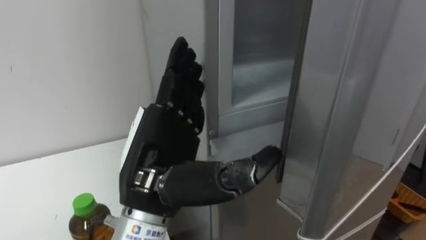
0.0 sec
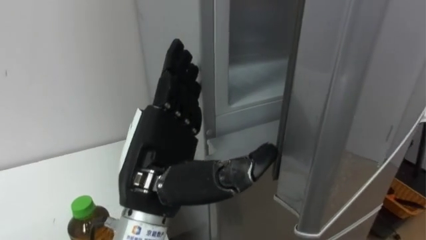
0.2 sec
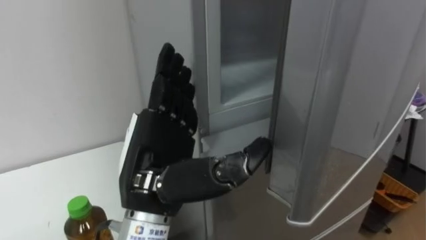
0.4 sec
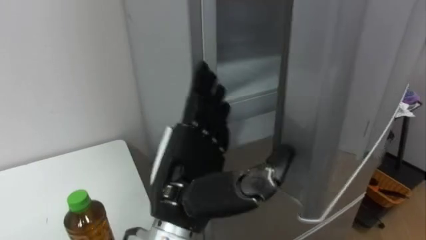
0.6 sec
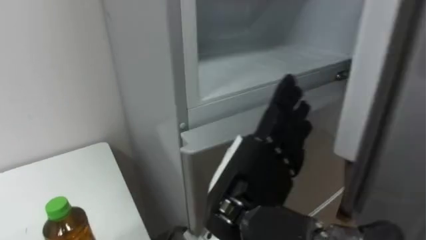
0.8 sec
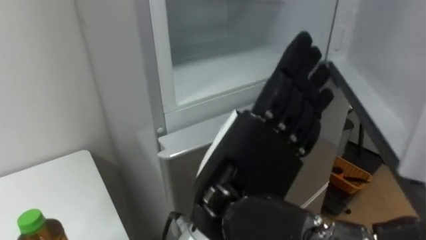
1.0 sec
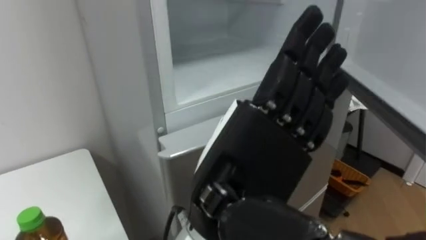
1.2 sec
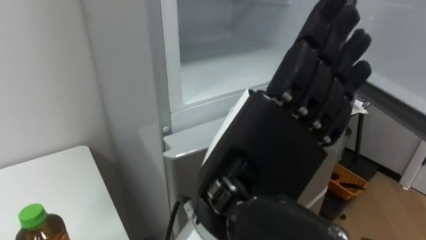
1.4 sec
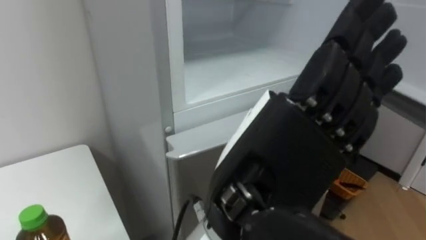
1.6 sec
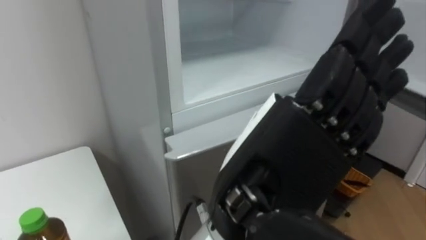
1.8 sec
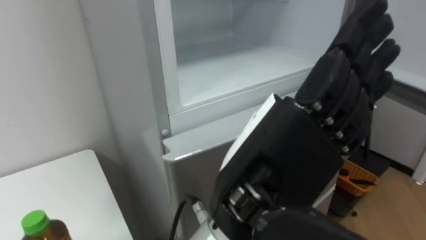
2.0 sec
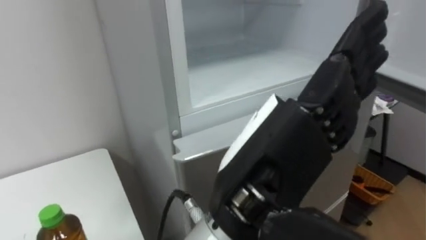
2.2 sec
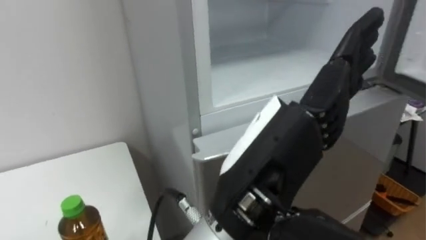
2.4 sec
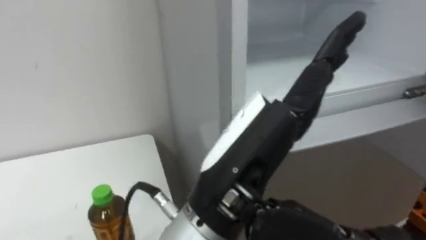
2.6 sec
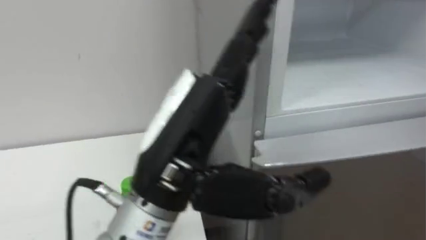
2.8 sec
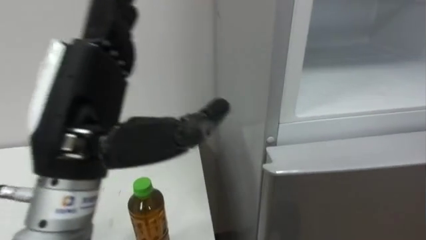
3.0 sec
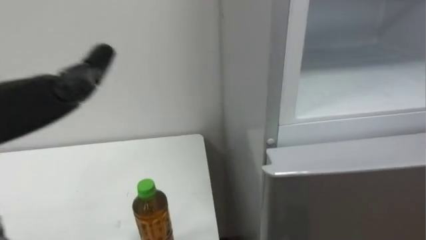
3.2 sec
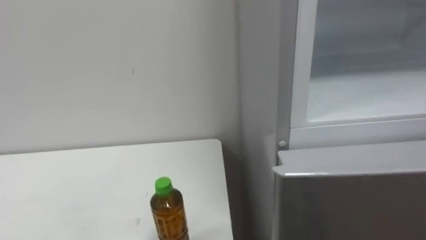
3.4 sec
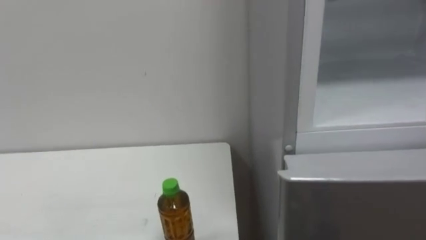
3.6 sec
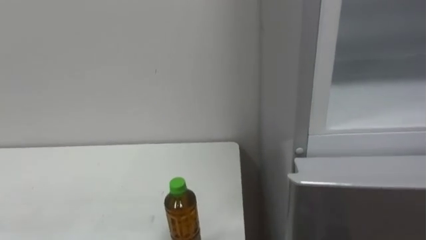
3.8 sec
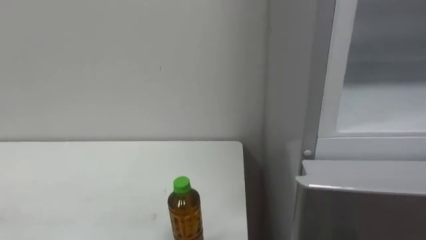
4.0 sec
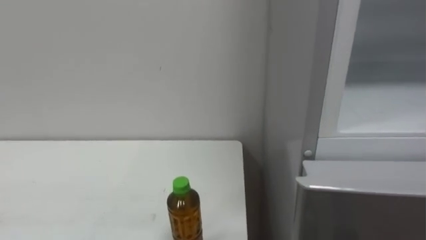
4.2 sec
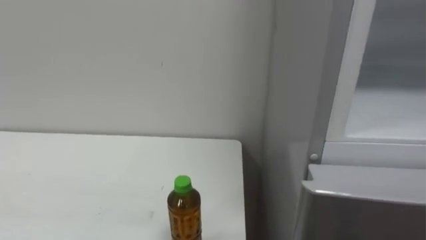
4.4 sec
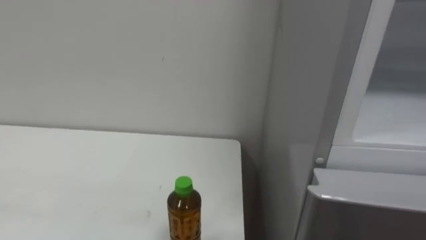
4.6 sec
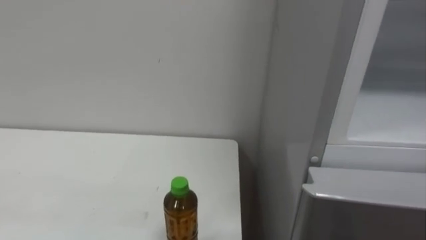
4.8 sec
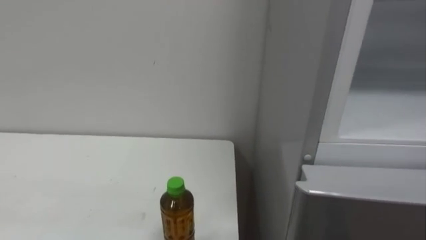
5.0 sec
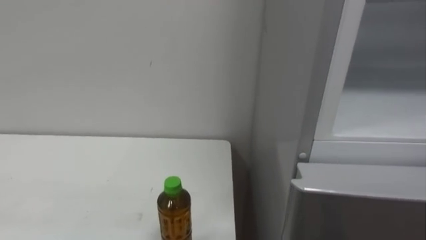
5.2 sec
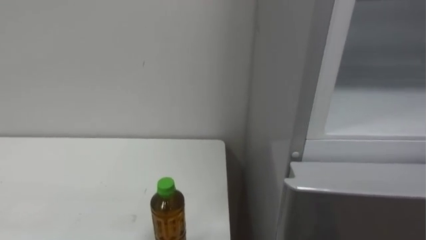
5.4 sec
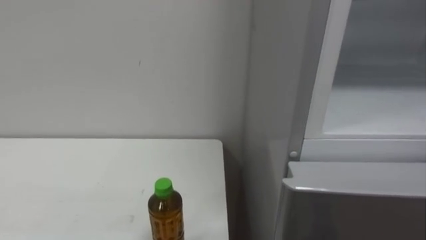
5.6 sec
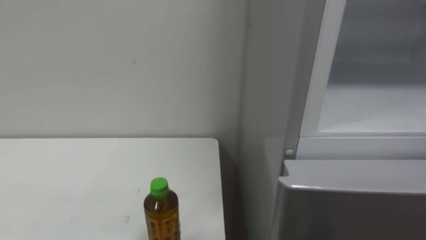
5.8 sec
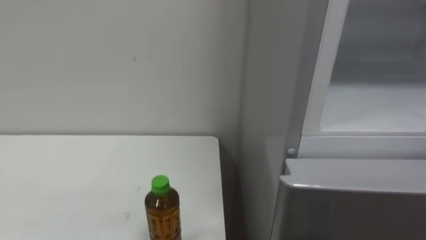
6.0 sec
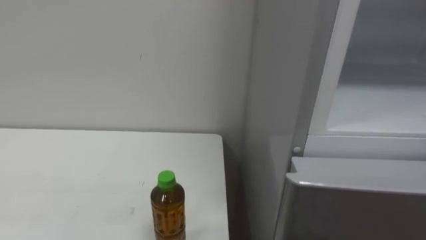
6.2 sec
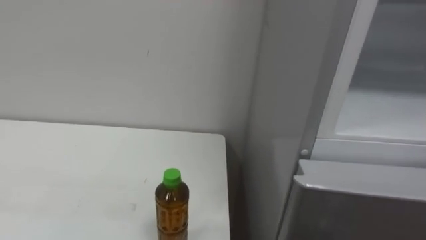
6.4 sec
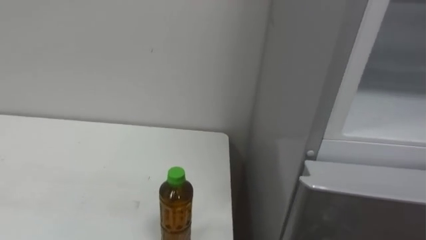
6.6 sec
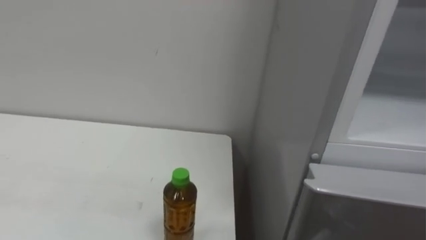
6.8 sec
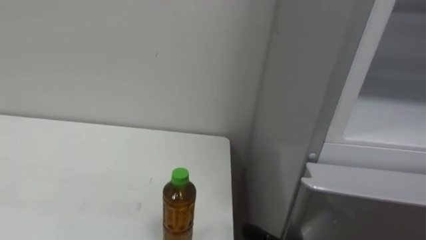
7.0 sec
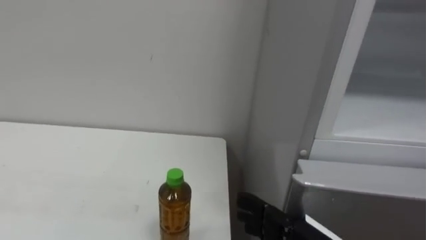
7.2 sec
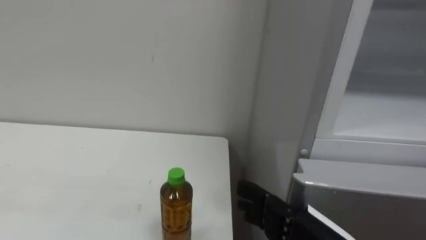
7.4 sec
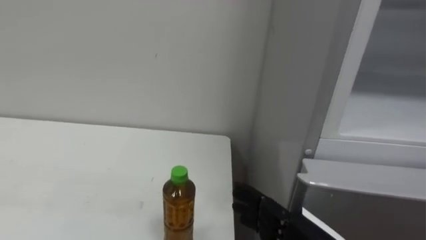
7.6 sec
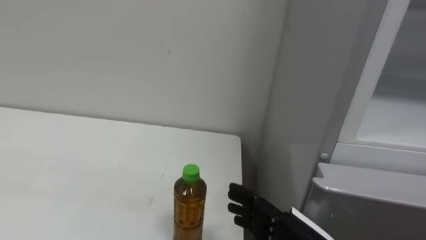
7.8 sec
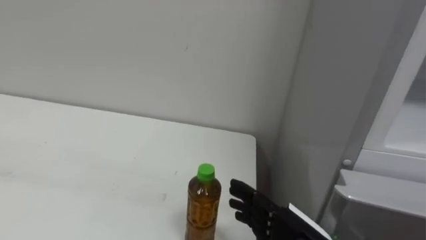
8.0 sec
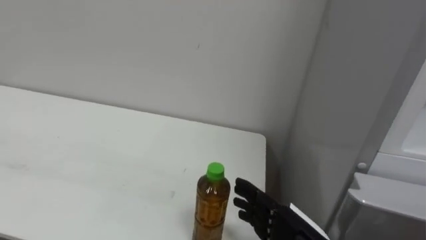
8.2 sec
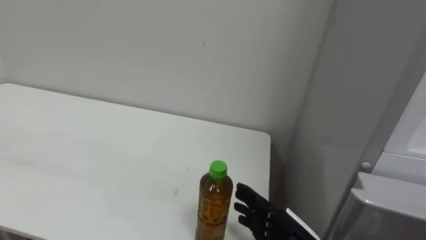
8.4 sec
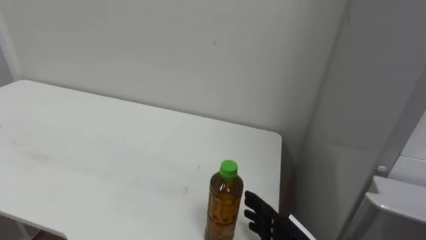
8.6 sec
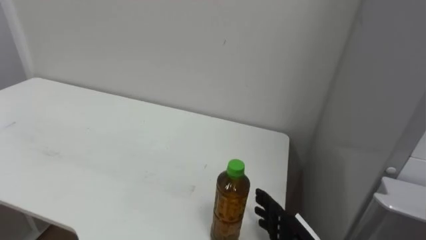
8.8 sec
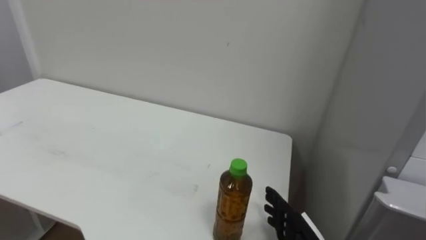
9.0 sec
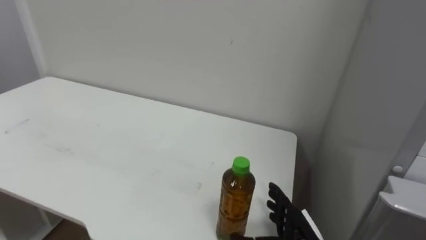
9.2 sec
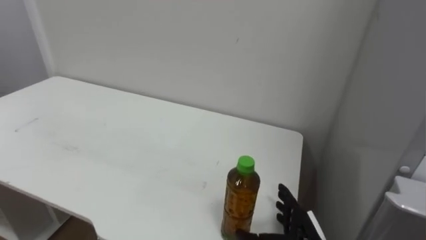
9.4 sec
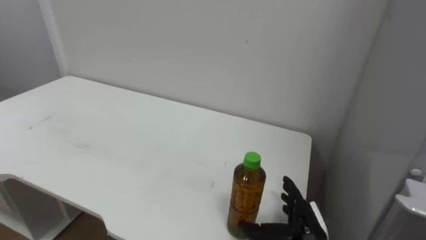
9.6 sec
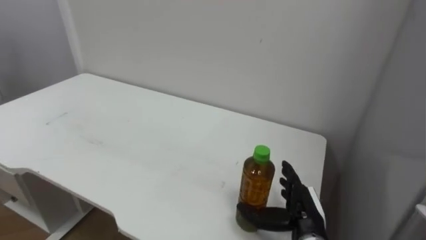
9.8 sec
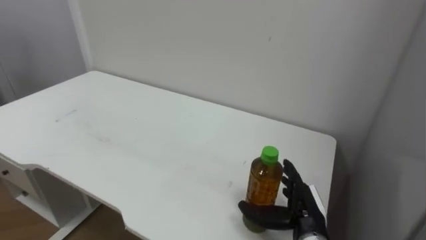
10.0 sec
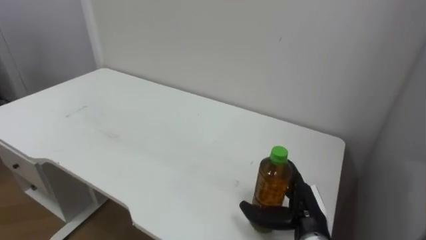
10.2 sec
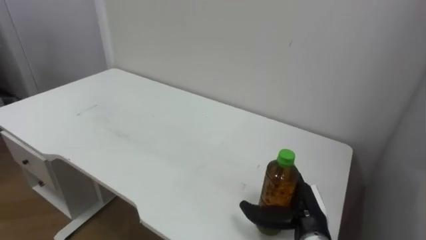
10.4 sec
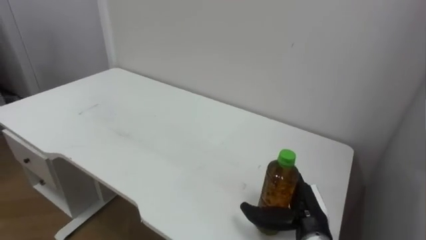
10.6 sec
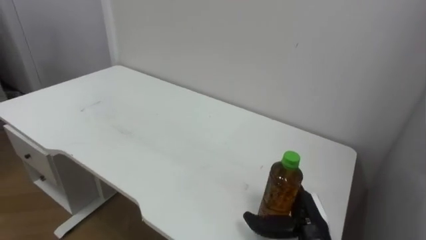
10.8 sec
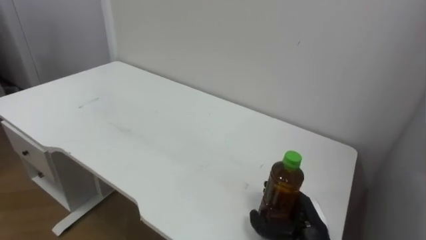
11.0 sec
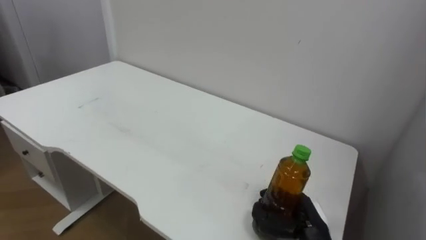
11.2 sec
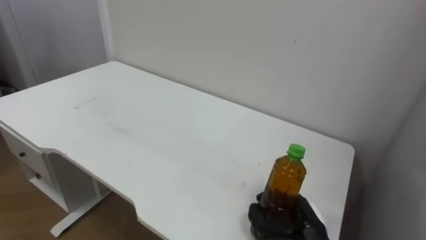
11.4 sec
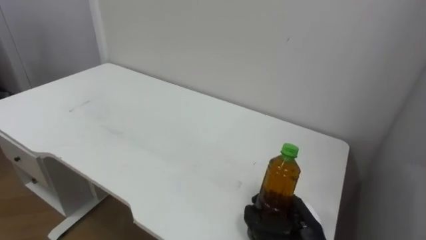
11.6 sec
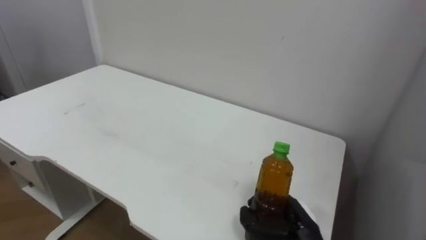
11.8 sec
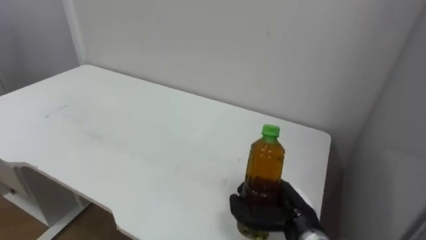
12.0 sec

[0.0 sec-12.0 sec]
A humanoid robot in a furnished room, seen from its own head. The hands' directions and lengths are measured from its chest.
Task of the whole recording: Open the upper refrigerator door, put the drink from the table into the refrigerator, and then close the refrigerator door.
0.0 sec to 1.6 sec: The left hand moves to the right, backward and upward, about 15 cm.
1.6 sec to 3.0 sec: The left hand shifts approximately 15 cm to the left.
9.0 sec to 10.4 sec: The right hand ends up about 5 cm from where it was.
10.4 sec to 12.0 sec: The right hand closes.

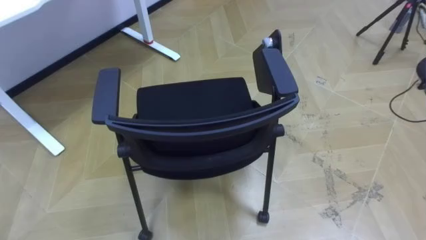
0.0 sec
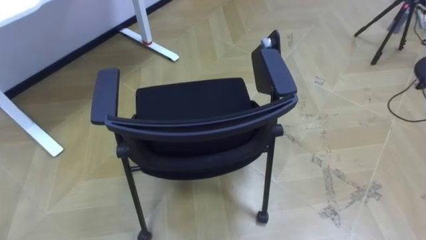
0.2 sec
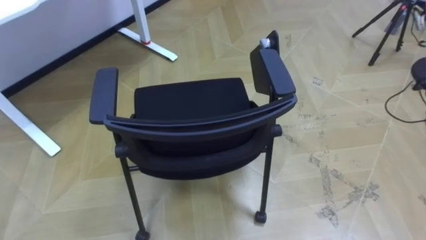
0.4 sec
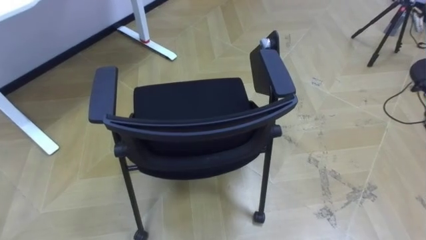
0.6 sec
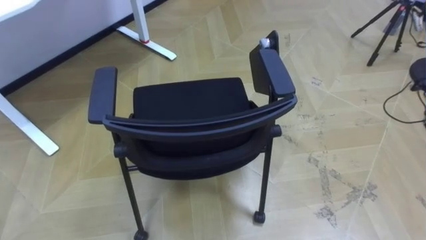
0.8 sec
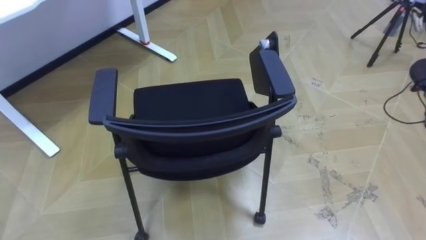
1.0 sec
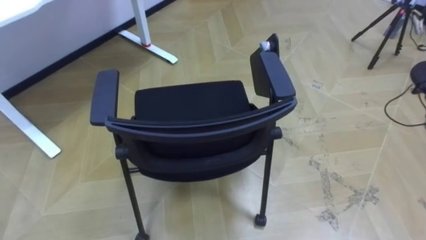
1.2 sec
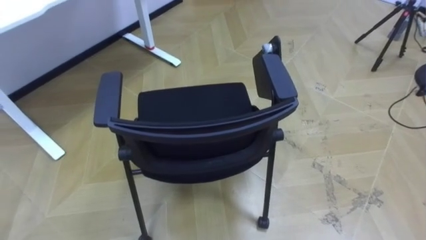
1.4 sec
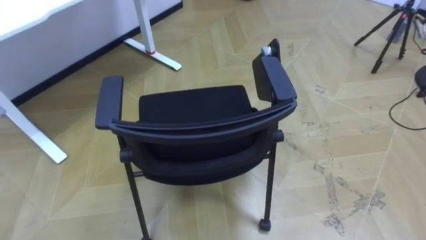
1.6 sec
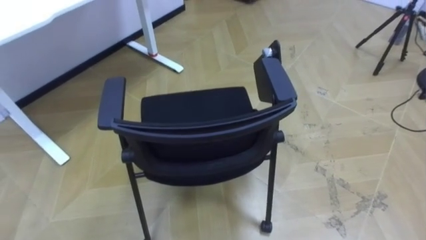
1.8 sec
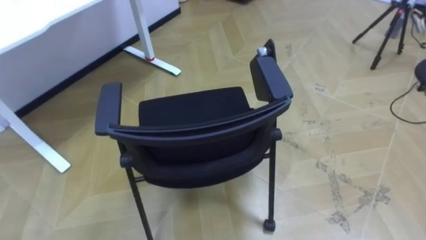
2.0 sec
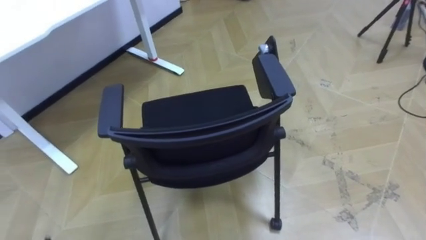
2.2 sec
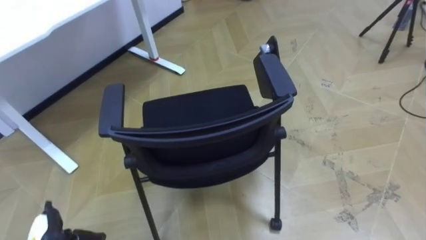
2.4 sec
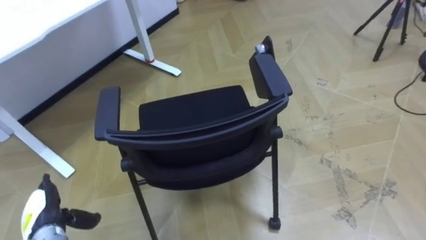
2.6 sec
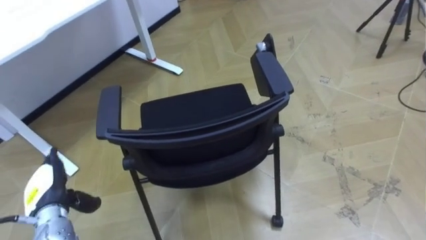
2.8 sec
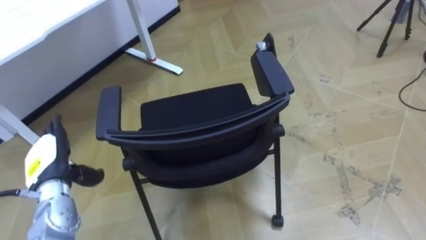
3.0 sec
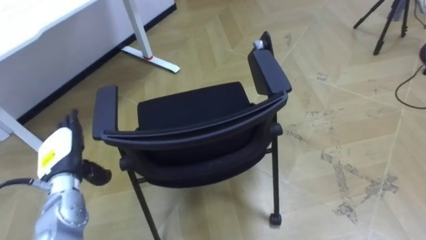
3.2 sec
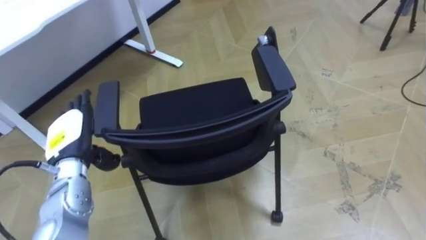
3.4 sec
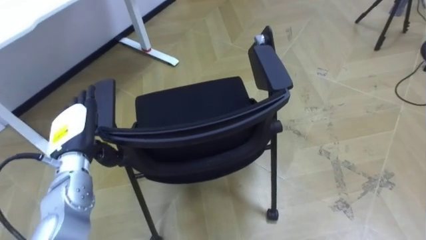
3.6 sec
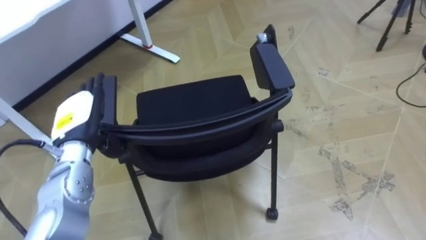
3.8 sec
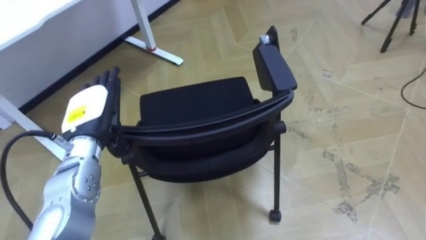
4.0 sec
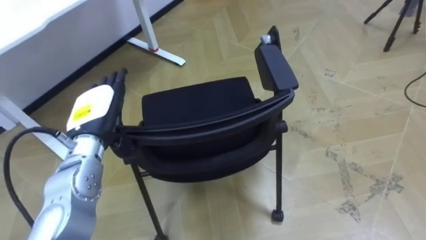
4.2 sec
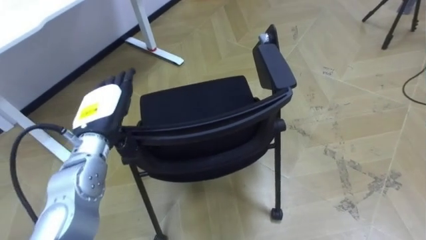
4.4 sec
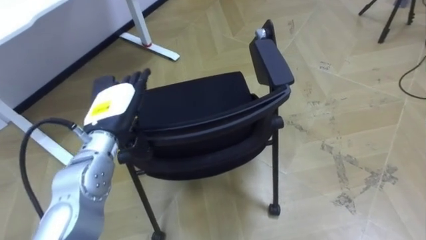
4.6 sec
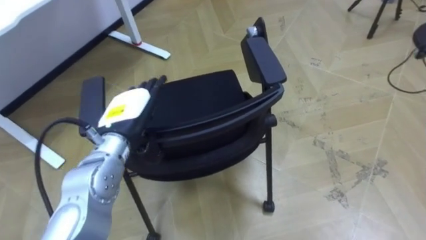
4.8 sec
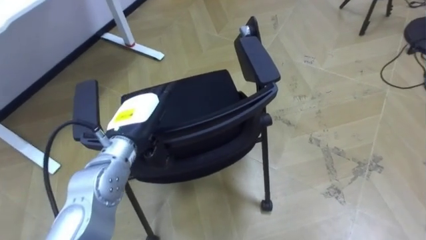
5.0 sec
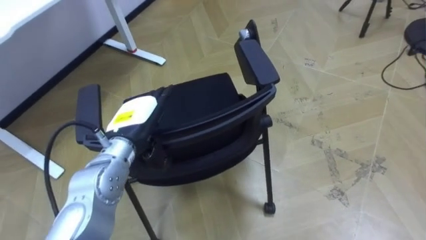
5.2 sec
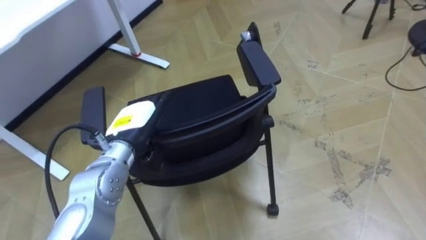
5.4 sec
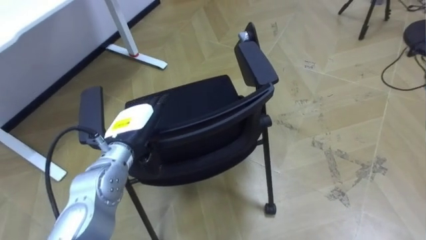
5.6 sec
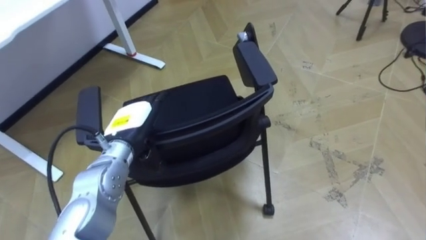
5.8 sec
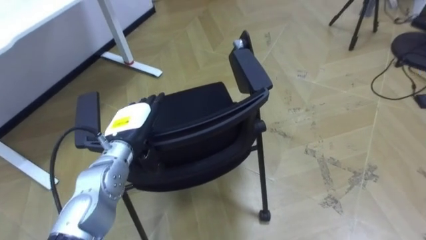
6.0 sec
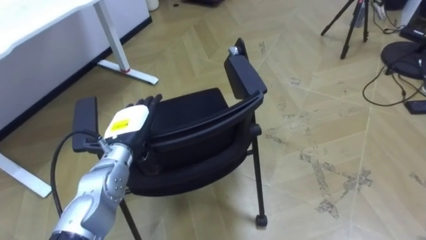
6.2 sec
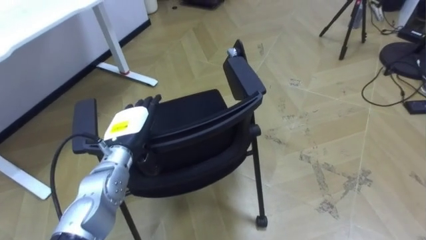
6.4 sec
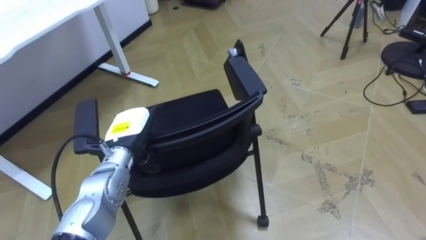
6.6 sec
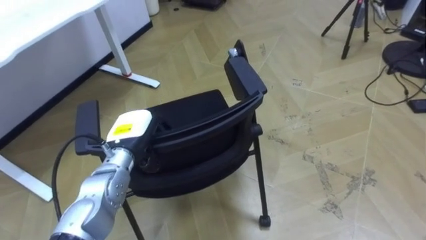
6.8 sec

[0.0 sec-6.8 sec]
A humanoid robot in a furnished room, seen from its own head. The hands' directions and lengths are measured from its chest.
Task of the whole recording: Push the chair under the table.
2.8 sec to 4.0 sec: The left hand heads upward, to the right and forward, covering some 20 cm.
4.0 sec to 5.4 sec: The left hand travels to the right by roughly 5 cm.
5.4 sec to 6.8 sec: The left hand moves downward, approximately 5 cm, and closes its fingers.
